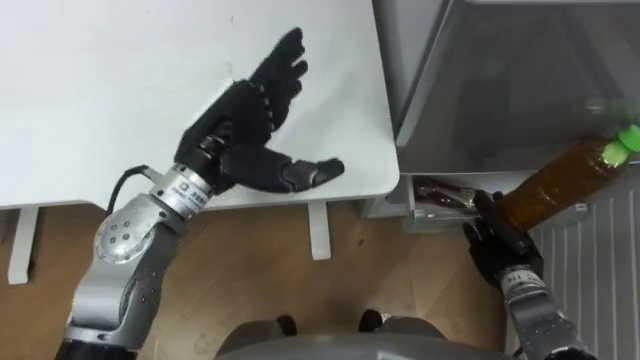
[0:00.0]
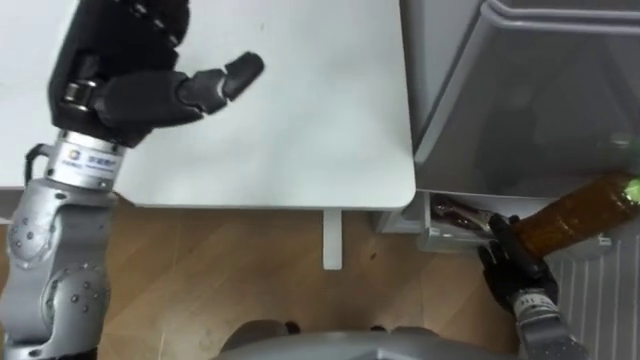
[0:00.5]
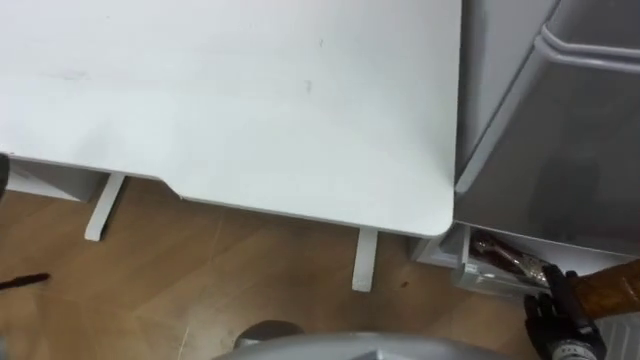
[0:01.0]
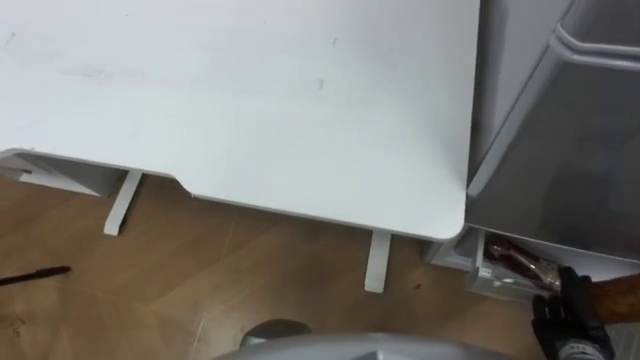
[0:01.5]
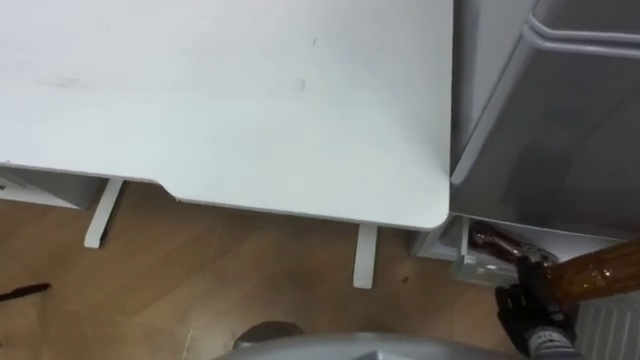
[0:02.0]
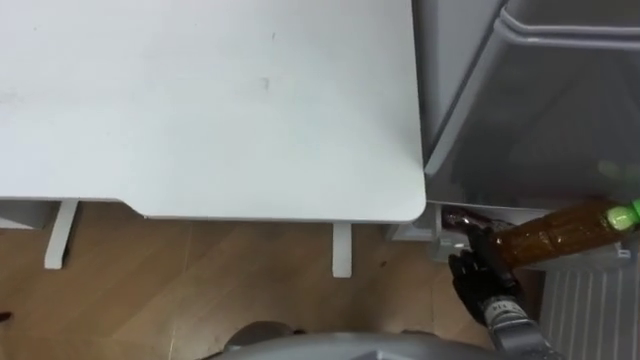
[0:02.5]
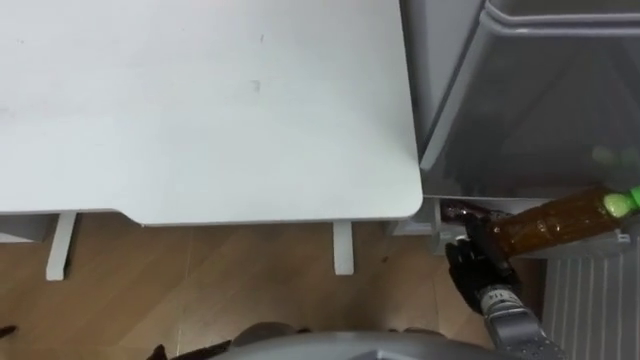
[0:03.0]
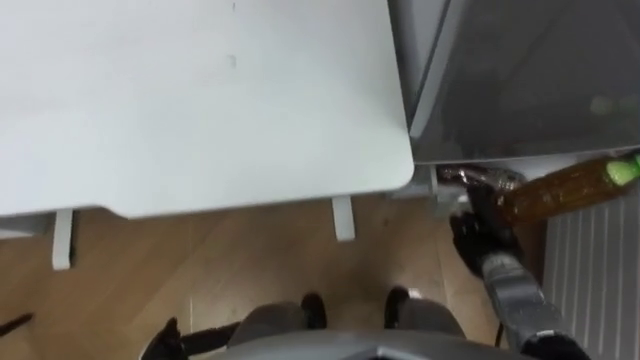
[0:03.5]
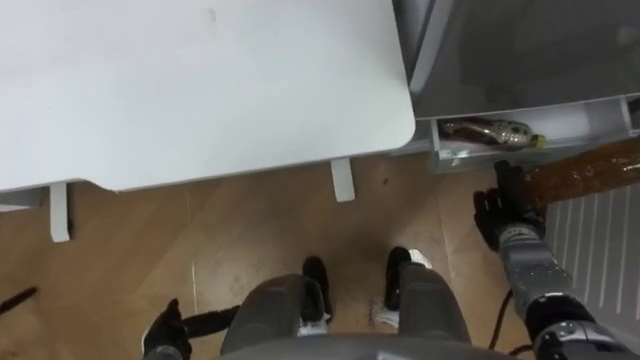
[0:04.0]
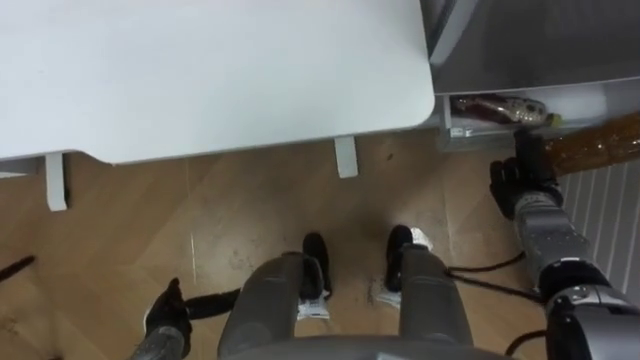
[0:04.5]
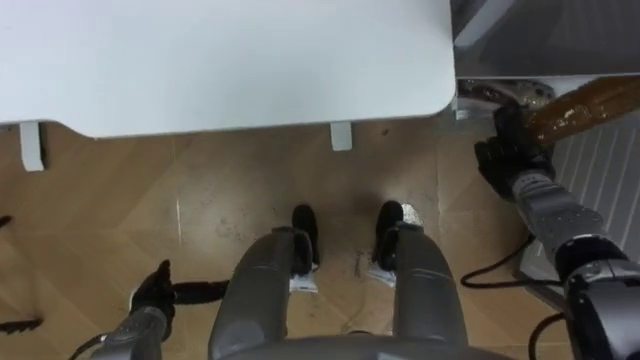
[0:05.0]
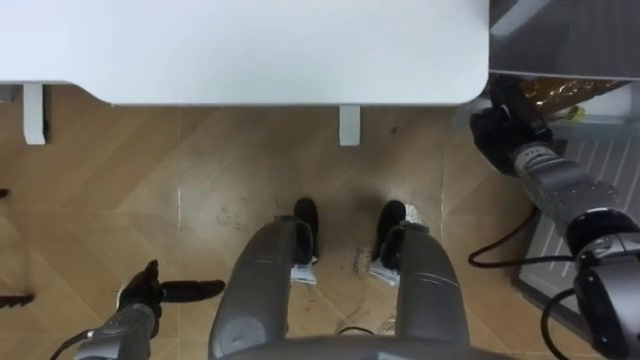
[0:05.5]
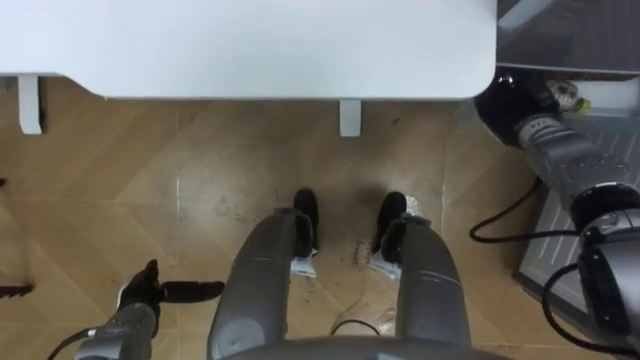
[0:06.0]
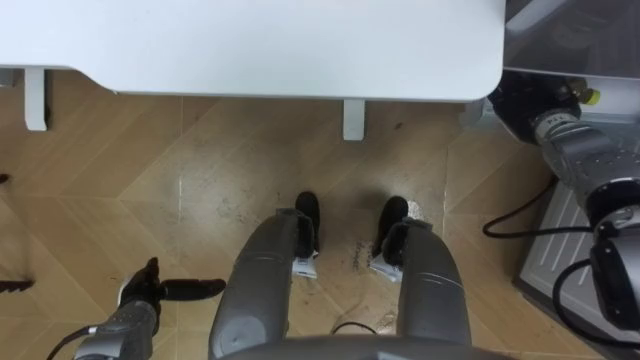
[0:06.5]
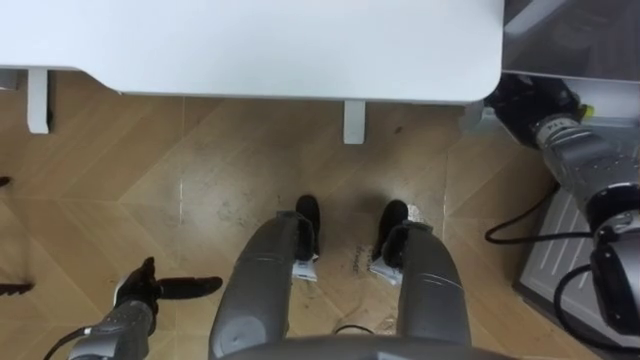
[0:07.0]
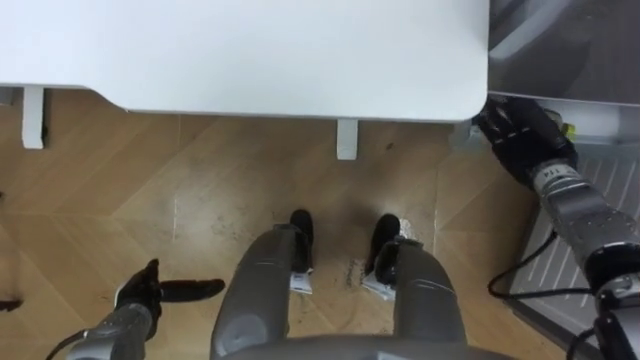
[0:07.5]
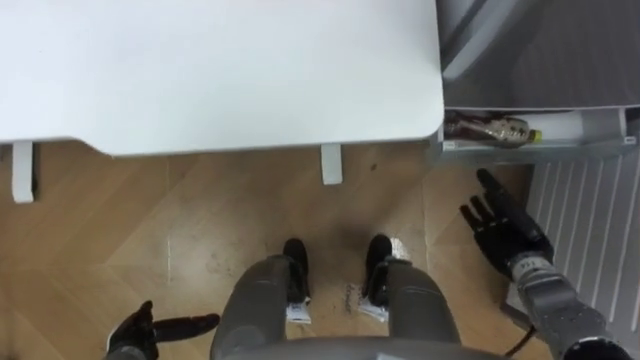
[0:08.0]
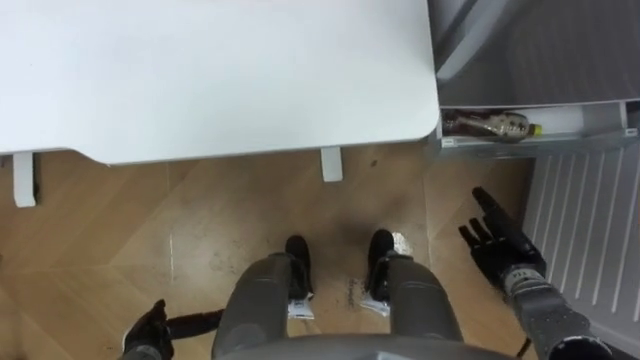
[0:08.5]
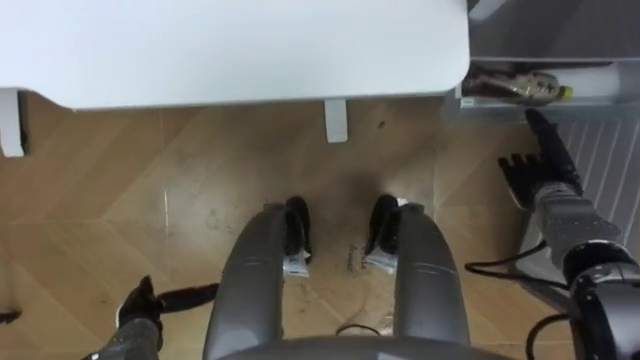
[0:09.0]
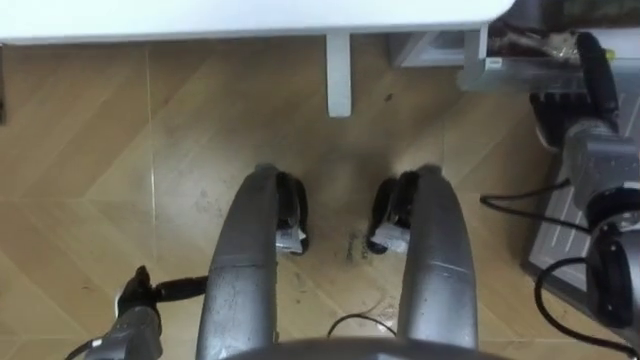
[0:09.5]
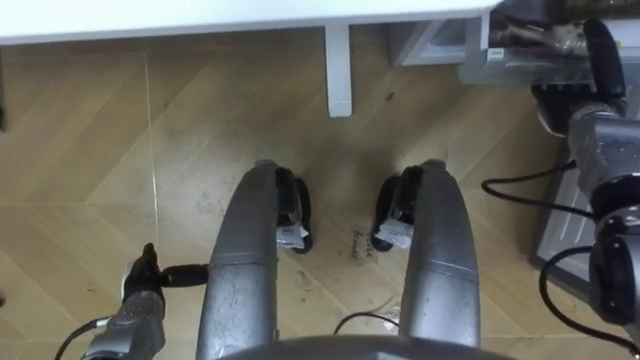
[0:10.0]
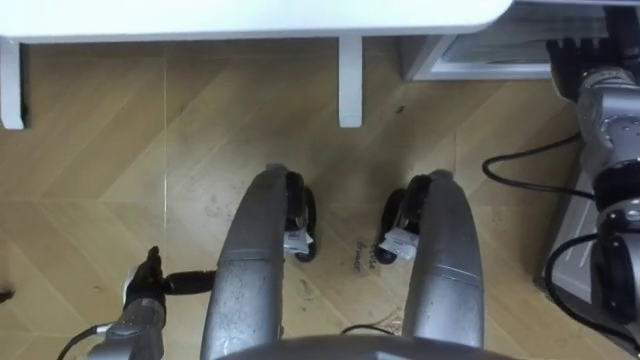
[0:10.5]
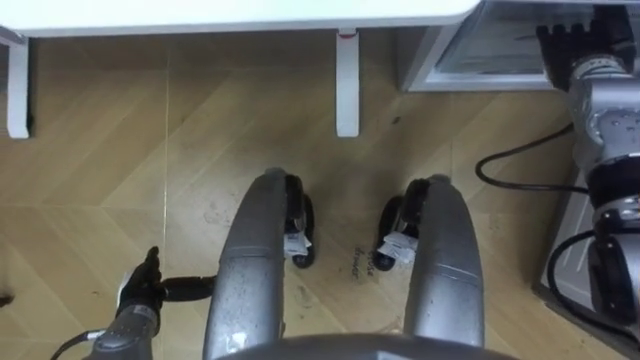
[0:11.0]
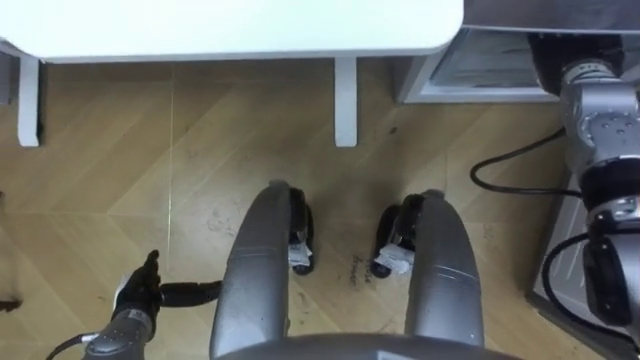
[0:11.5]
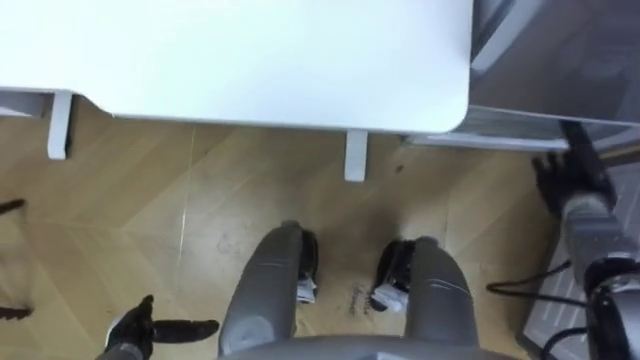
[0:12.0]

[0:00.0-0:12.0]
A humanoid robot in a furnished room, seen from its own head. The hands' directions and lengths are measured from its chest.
Task of the whole recording: Place the drink on the table on the bottom shelf of the refrigerator, then close the drawer and the refrigerator door.
0:00.0 to 0:02.0: The right hand travels backward by approximately 10 cm.
0:02.0 to 0:04.0: The right hand goes some 15 cm forward.
0:04.0 to 0:06.0: The right hand moves forward and upward, some 15 cm, while the left hand goes about 5 cm forward.
0:06.0 to 0:08.0: The right hand goes approximately 20 cm backward and downward, and opens its fingers. The left hand moves backward, some 5 cm.
0:08.0 to 0:10.0: The left hand is displaced forward by roughly 5 cm. Meanwhile the right hand heads forward and upward, covering roughly 20 cm.
0:10.0 to 0:12.0: The right hand travels backward and downward by roughly 10 cm; the left hand shifts some 5 cm backward.

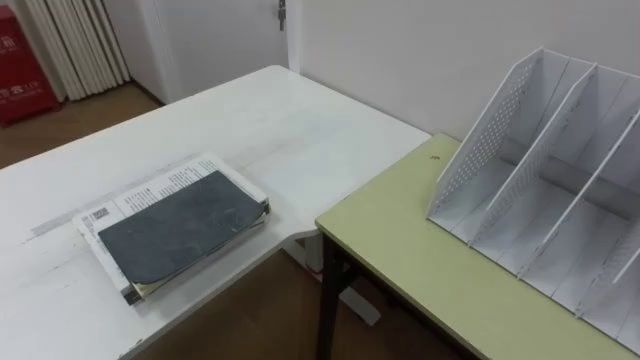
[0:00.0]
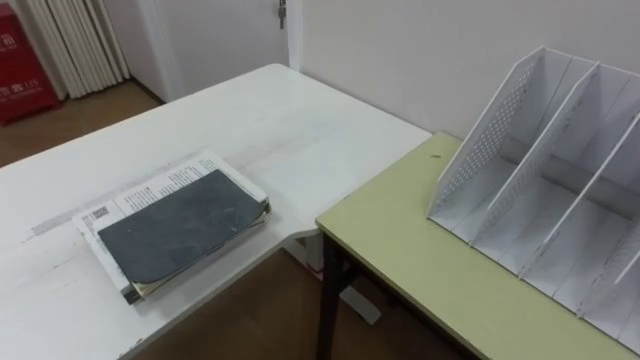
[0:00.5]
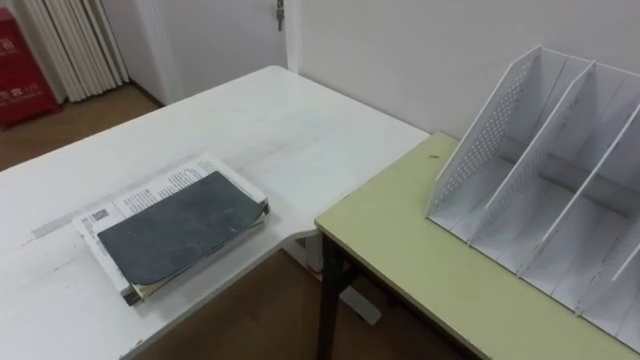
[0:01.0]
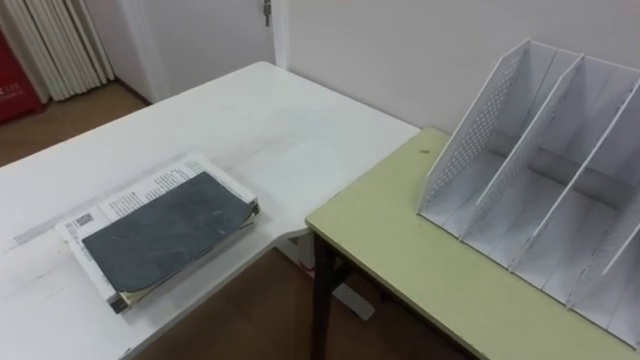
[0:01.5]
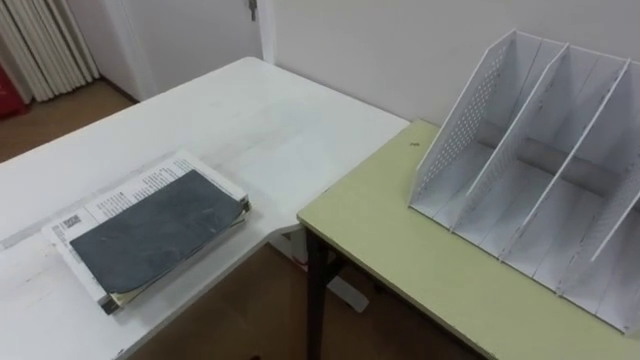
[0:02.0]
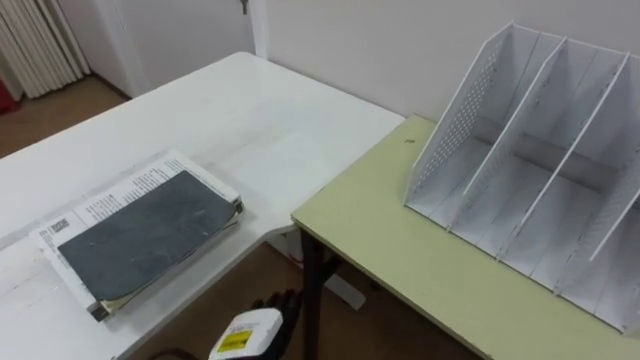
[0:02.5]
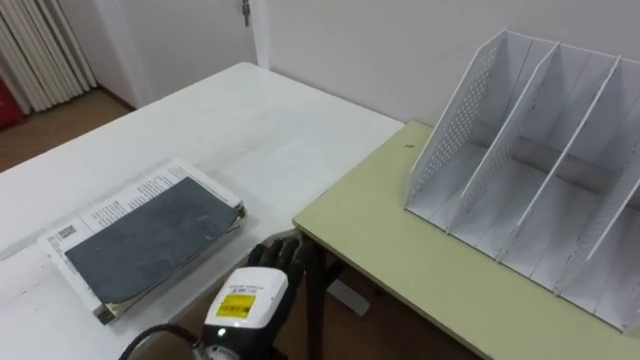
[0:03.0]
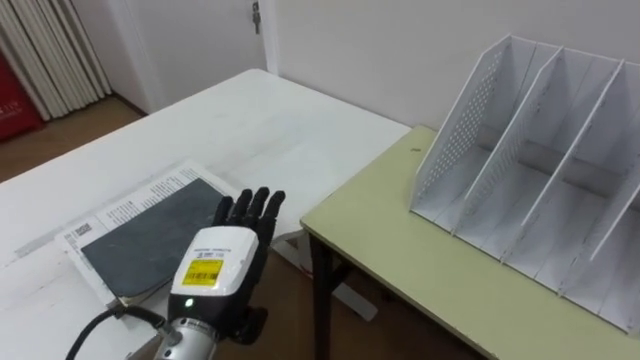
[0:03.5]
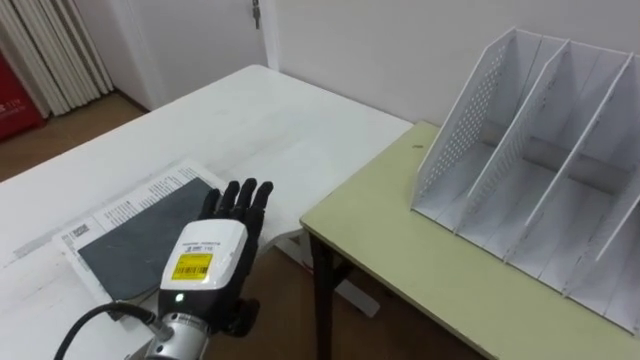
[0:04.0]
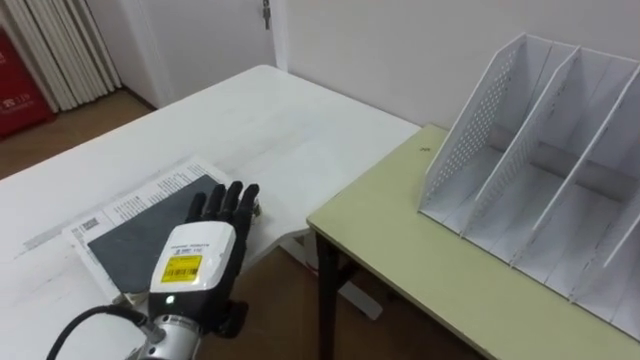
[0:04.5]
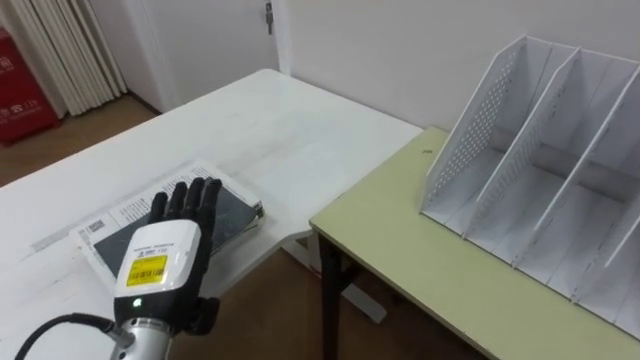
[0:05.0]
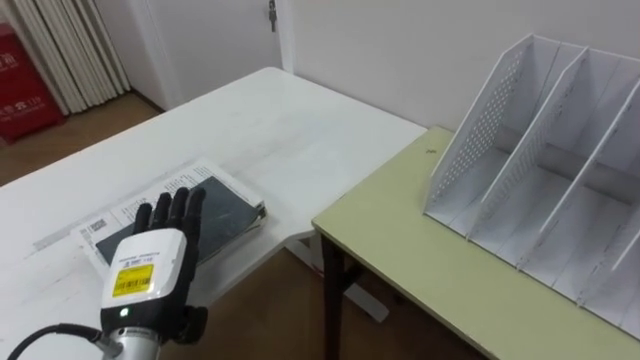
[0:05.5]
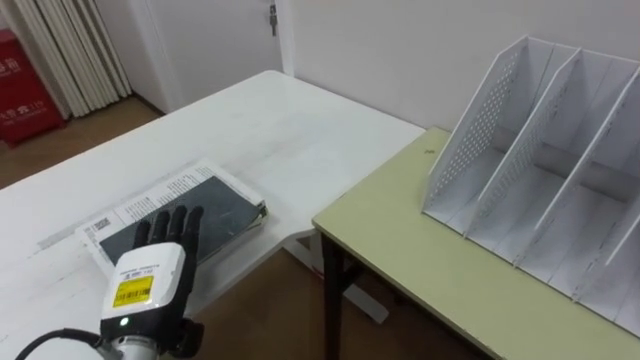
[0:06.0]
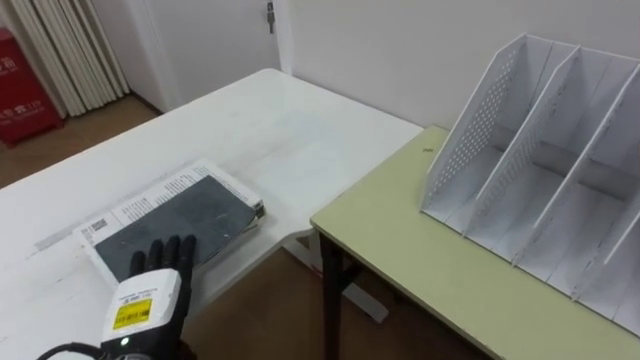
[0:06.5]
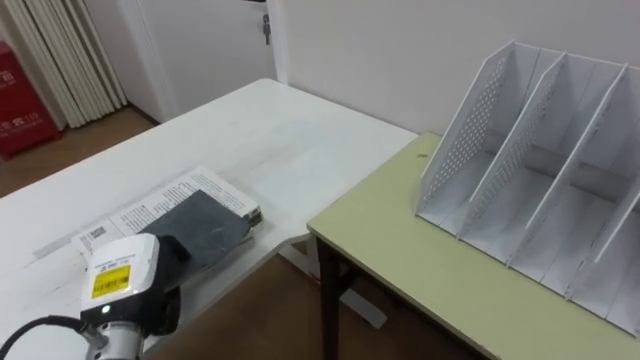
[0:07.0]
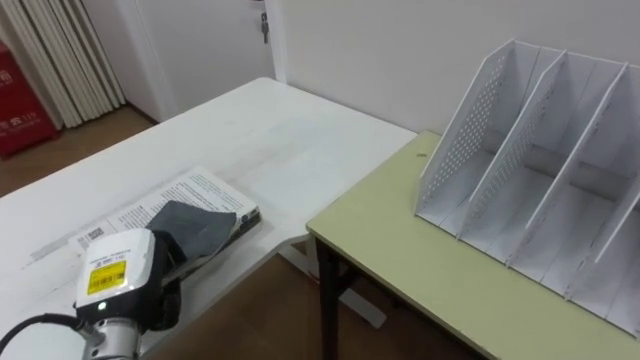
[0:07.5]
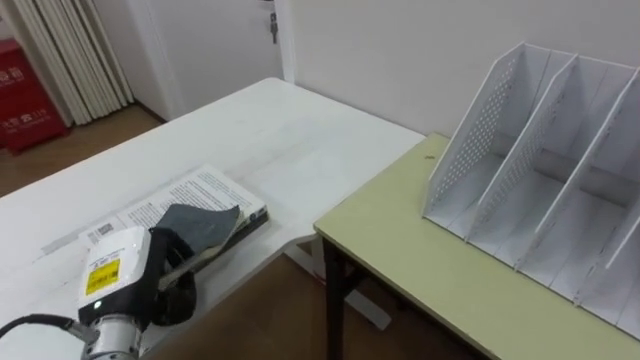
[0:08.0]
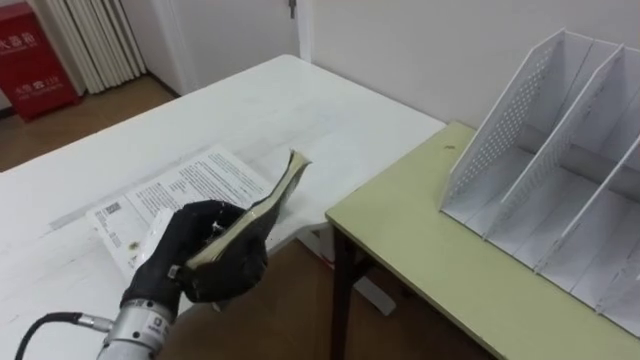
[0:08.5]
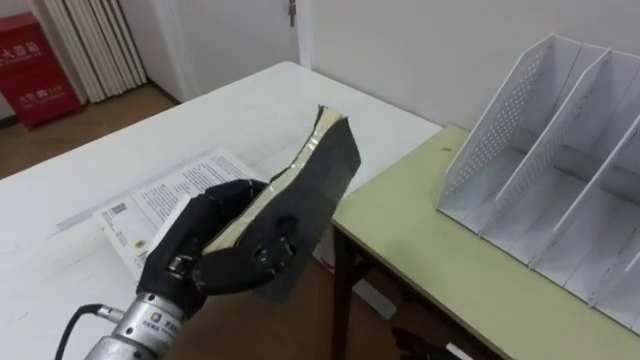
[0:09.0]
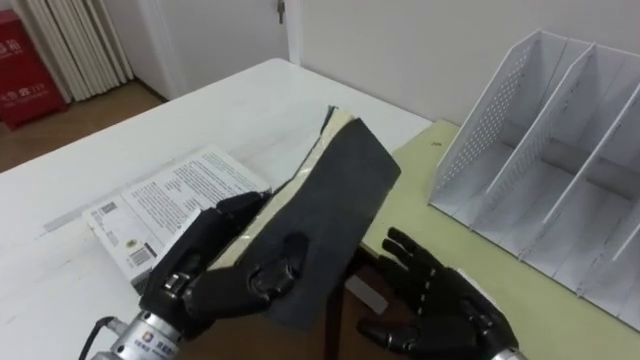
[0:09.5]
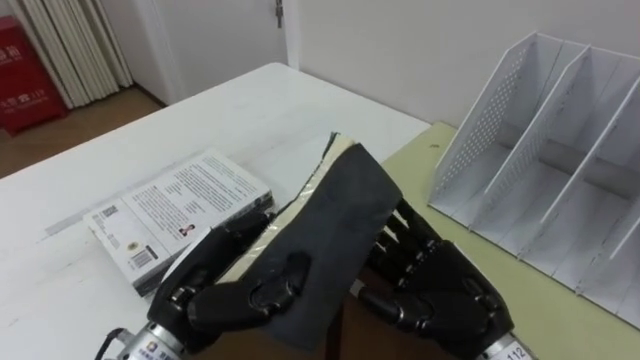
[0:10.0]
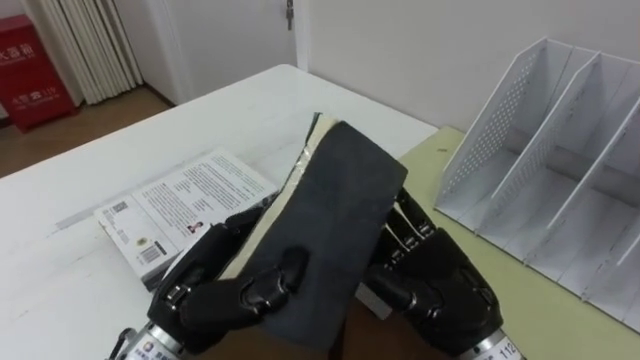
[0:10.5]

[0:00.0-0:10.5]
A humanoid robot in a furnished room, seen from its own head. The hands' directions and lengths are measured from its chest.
Task of the whole recording: Put the books on the table onto the bookshelf.
0:04.0 to 0:06.5: The left hand goes approximately 10 cm to the left and downward.
0:06.5 to 0:08.5: The left hand shifts some 5 cm upward, and closes its fingers.
0:08.5 to 0:10.5: The left hand moves to the right, some 5 cm.
